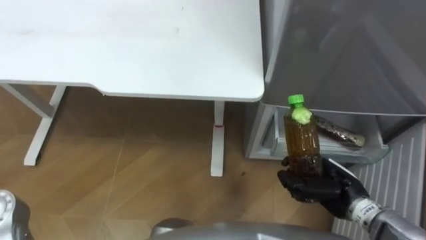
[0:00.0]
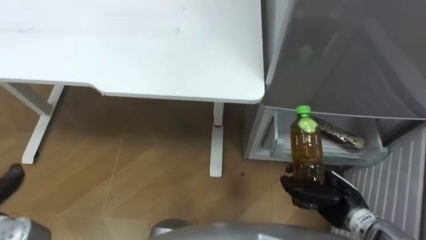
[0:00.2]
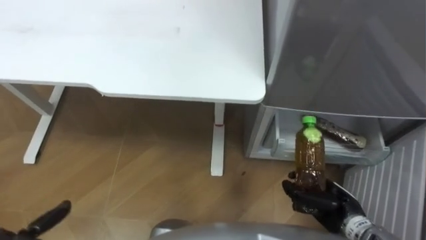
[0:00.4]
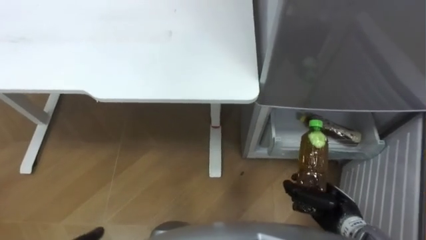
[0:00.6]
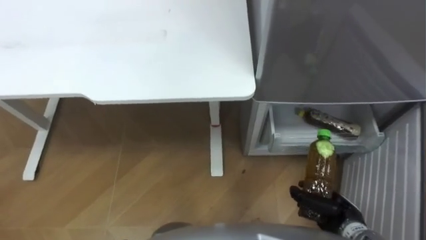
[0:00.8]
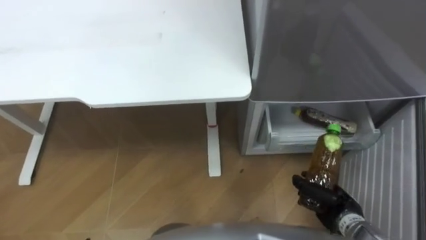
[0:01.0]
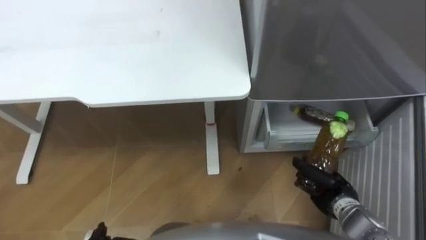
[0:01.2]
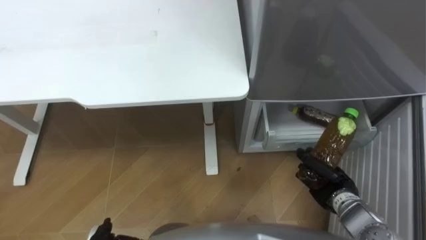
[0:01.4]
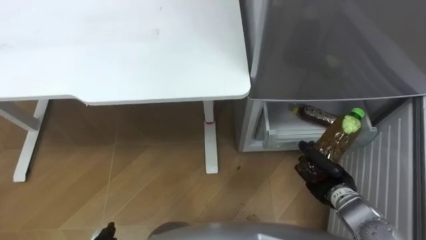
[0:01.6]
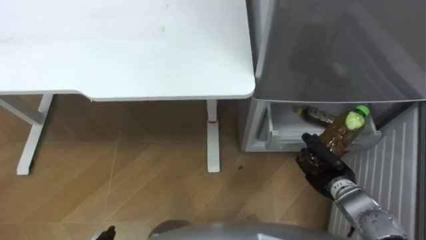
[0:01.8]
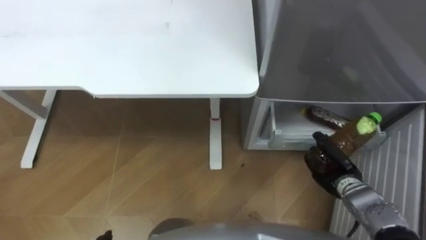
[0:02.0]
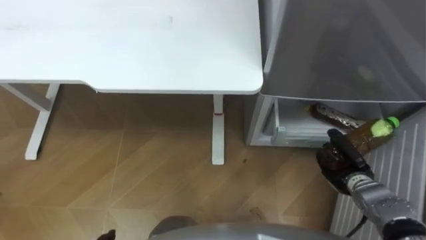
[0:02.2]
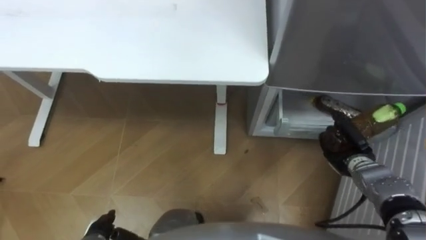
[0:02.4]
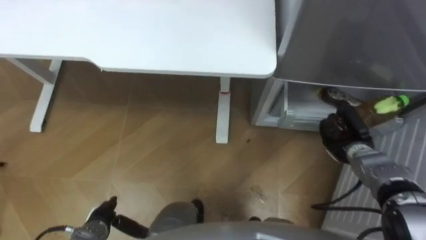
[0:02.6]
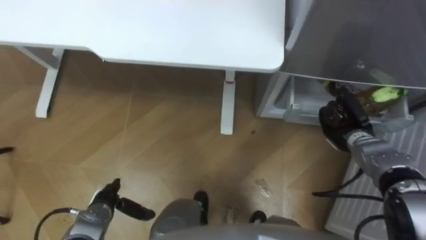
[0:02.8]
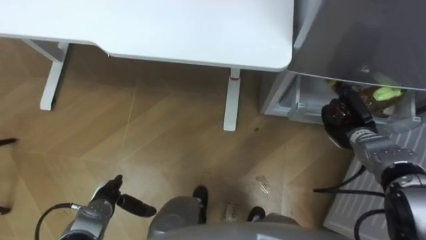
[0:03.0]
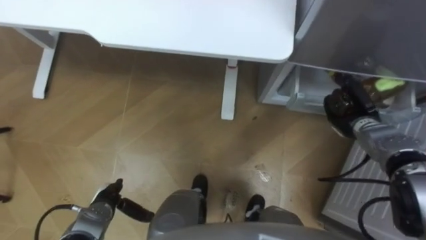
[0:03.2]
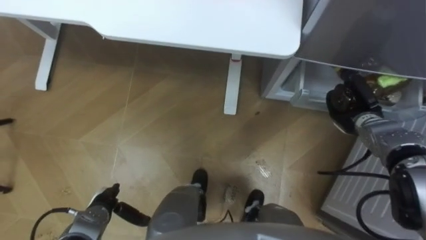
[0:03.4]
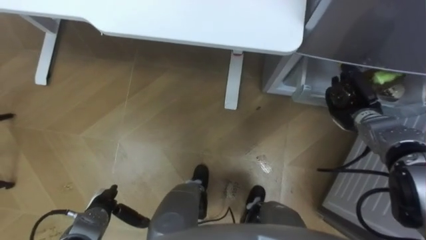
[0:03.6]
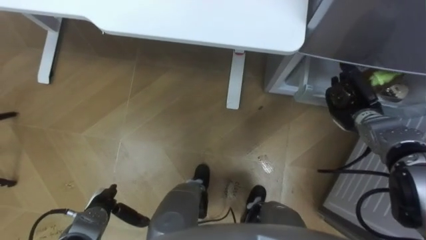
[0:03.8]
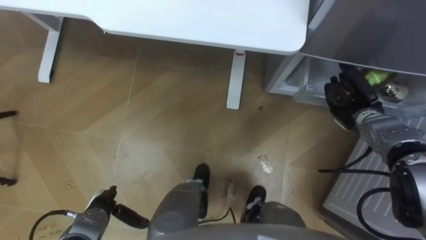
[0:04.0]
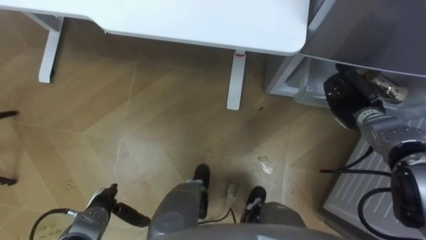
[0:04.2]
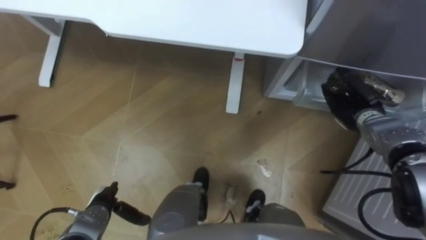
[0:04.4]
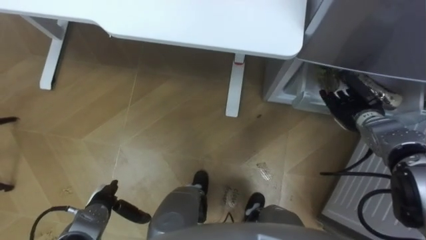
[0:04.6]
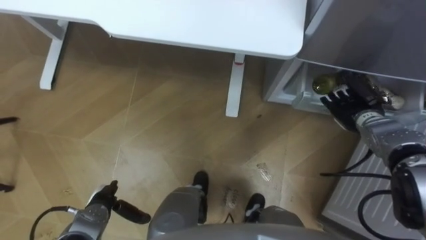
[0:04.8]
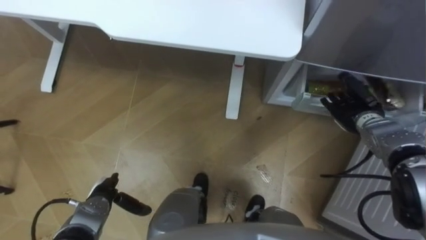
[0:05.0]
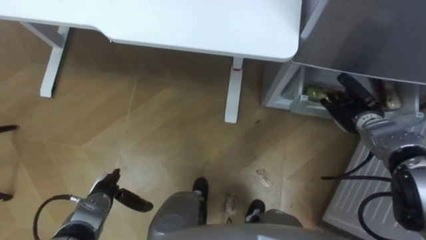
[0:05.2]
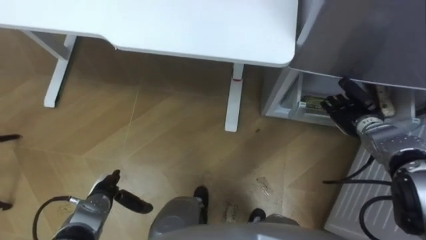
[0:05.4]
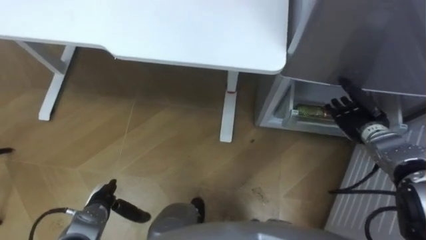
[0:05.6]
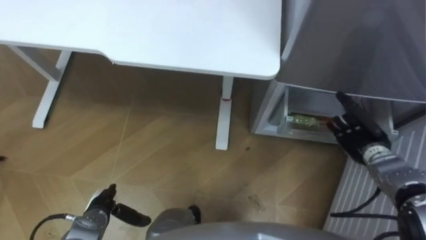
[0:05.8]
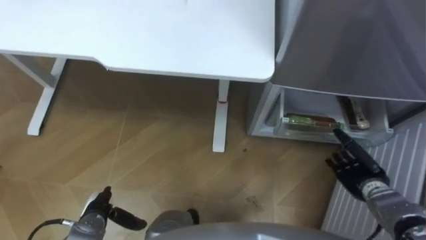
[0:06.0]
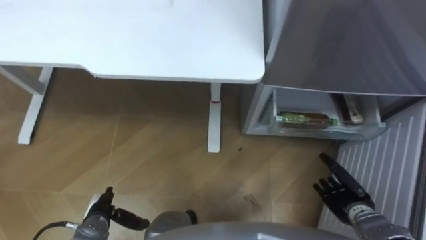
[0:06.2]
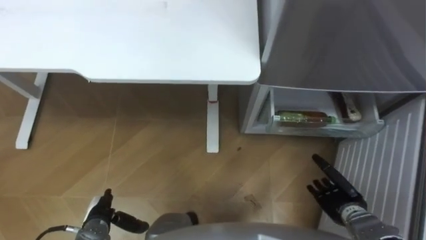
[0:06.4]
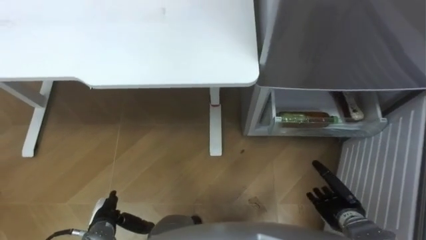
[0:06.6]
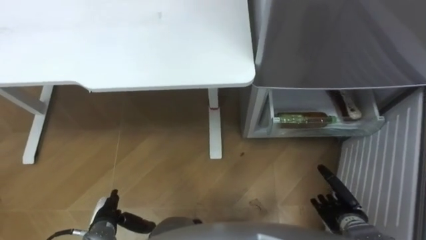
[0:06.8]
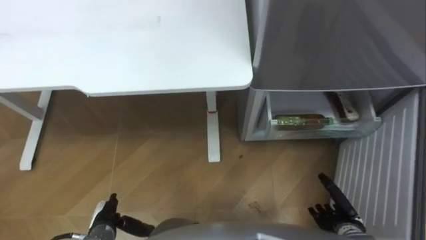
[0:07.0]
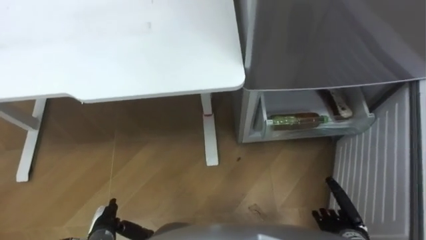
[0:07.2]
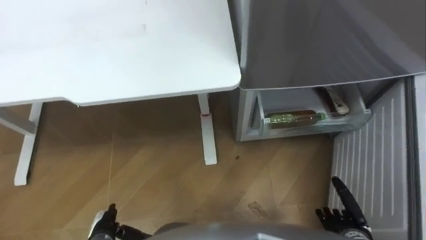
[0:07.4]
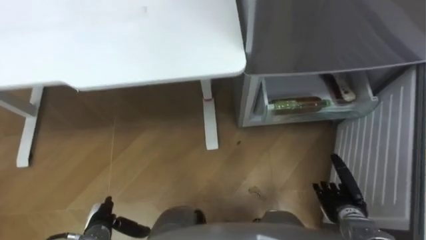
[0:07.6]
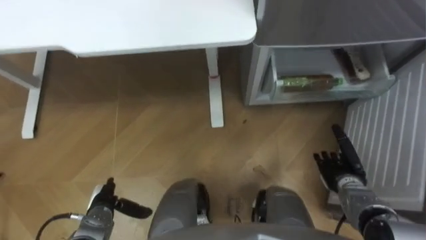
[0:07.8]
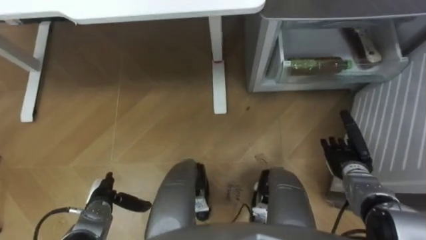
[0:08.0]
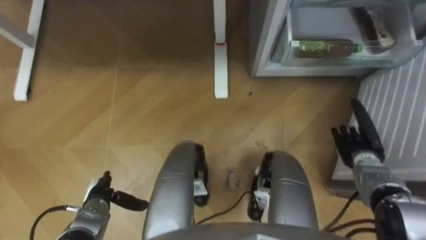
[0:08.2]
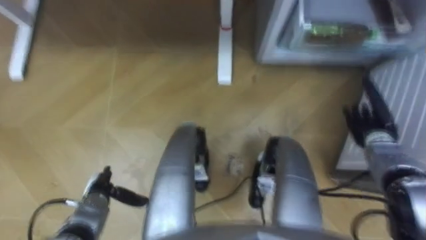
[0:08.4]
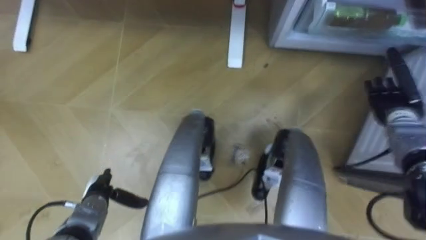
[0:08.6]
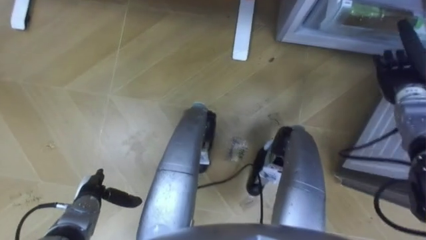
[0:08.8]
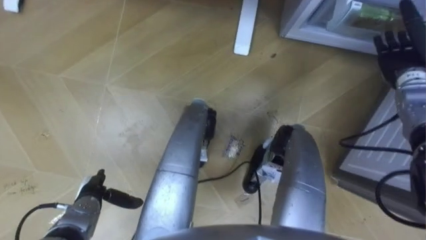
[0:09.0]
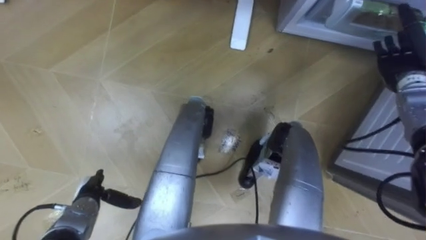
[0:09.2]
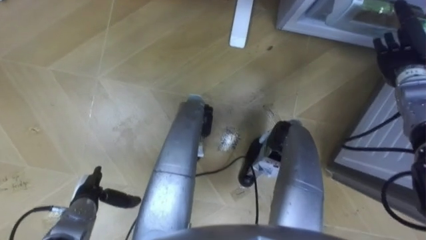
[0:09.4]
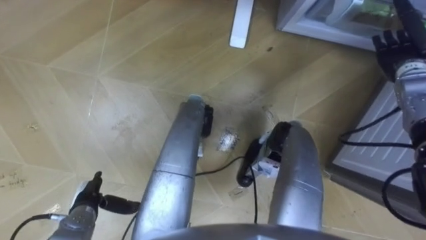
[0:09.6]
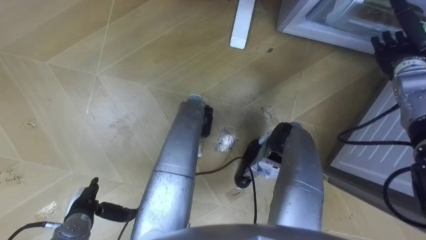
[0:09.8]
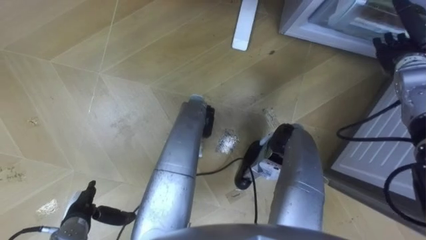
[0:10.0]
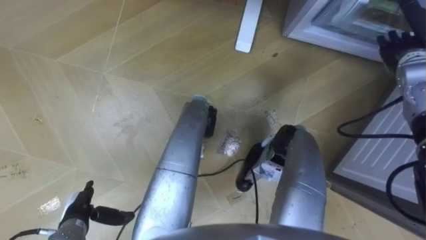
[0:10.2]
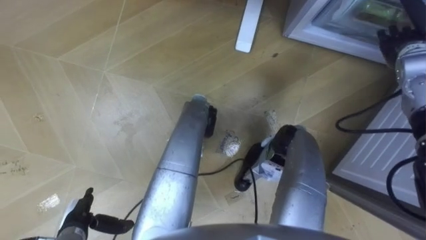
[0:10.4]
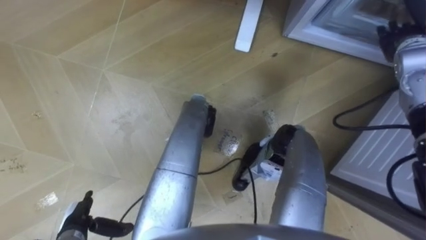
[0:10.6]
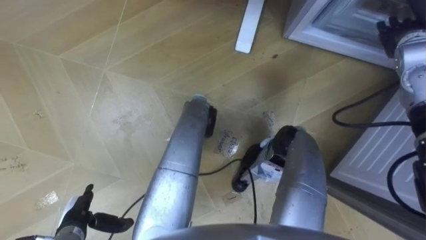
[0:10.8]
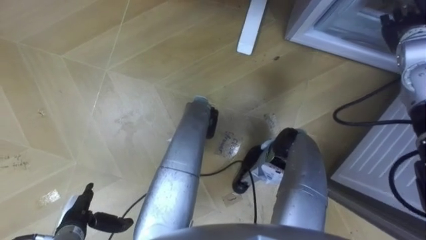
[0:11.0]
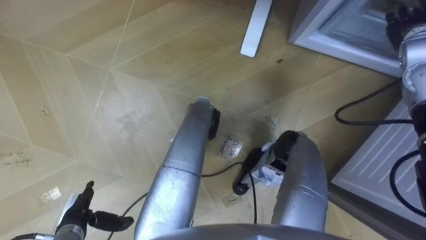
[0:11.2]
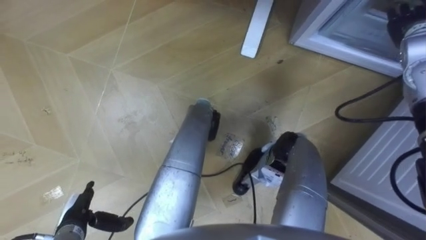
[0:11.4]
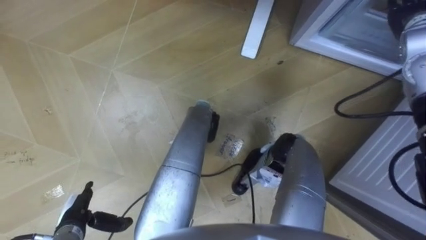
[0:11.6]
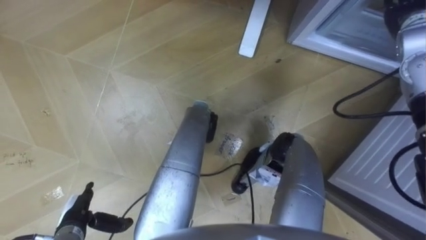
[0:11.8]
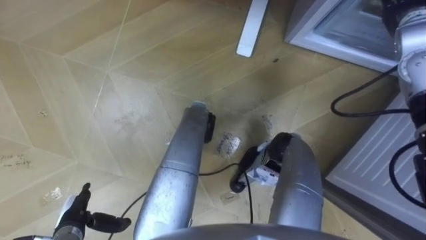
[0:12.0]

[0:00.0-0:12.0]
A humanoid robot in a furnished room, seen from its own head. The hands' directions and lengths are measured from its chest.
Task of the whole recording: Place the drink on the table on the bottom shelf of the refrigerator, then close the drawer and the refrigerator door.
0:00.0 to 0:01.6: The right hand shifts approximately 5 cm downward.
0:01.6 to 0:03.0: The right hand travels forward by some 10 cm.
0:03.0 to 0:04.4: The right hand opens up.
0:04.4 to 0:06.0: The right hand travels backward and downward by roughly 15 cm.
0:06.0 to 0:07.6: The right hand shifts approximately 10 cm backward.
0:07.6 to 0:09.0: The left hand shifts about 5 cm forward; the right hand shifts roughly 30 cm forward and upward.
0:09.0 to 0:10.4: The left hand is displaced backward by some 5 cm.
0:10.4 to 0:12.0: The right hand goes some 5 cm upward.

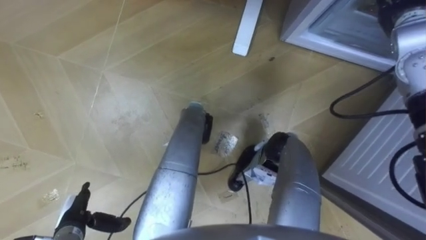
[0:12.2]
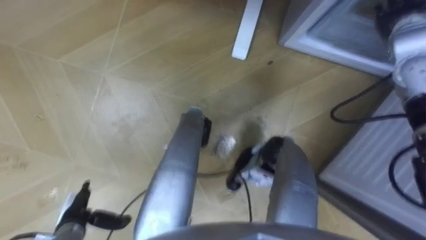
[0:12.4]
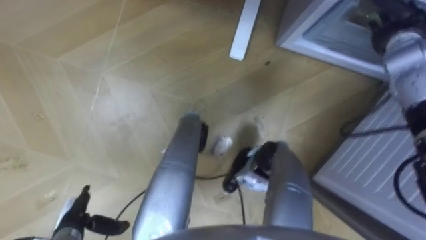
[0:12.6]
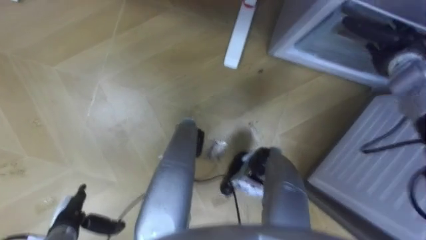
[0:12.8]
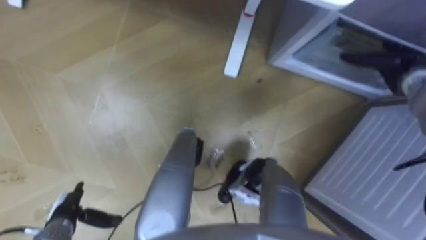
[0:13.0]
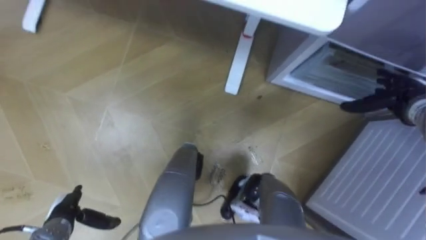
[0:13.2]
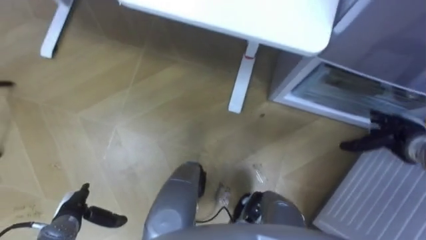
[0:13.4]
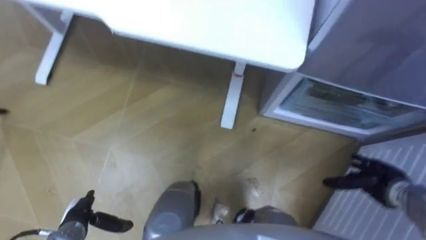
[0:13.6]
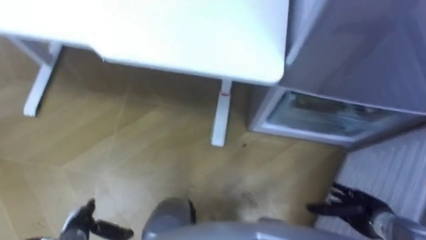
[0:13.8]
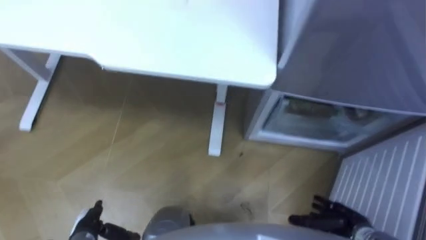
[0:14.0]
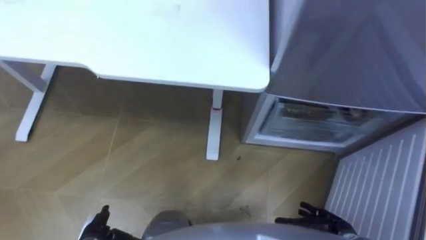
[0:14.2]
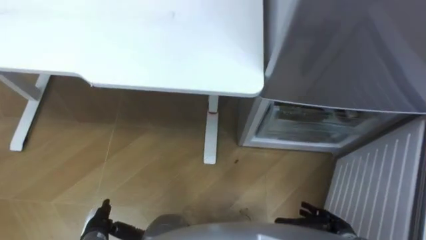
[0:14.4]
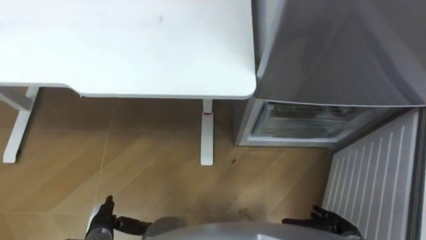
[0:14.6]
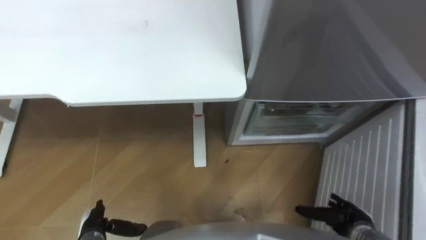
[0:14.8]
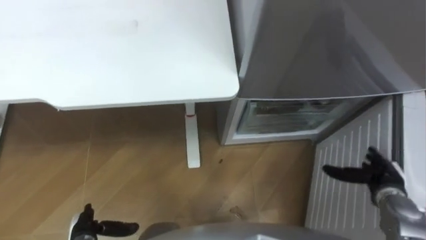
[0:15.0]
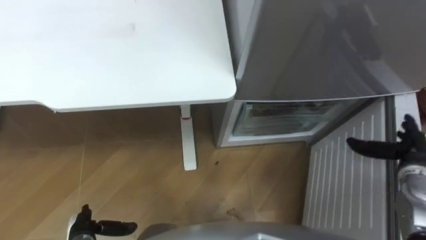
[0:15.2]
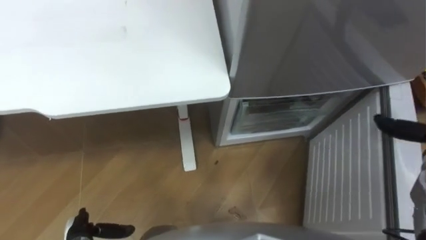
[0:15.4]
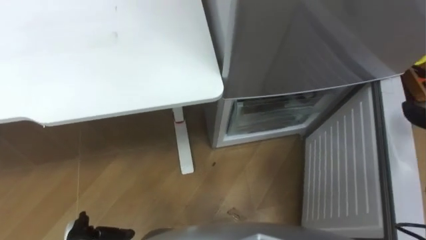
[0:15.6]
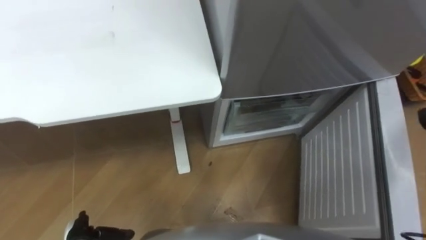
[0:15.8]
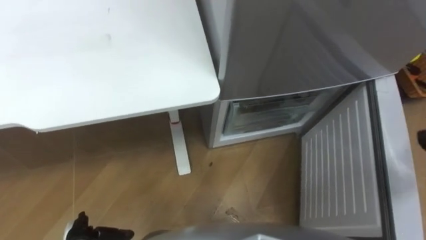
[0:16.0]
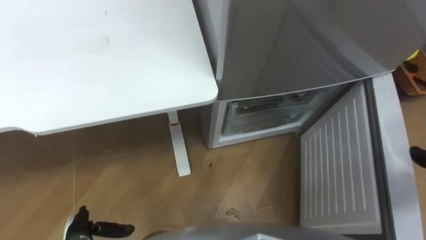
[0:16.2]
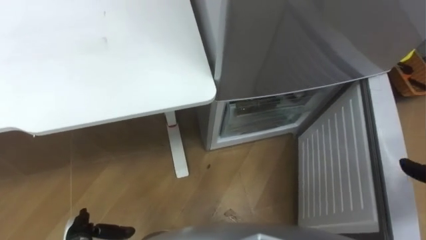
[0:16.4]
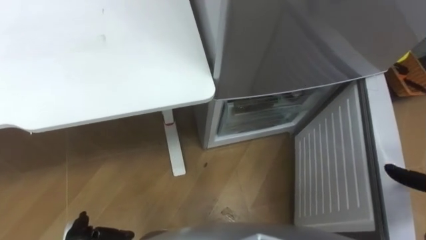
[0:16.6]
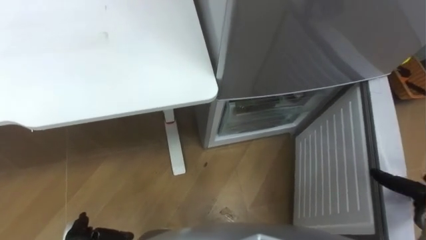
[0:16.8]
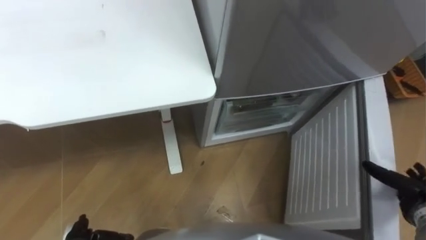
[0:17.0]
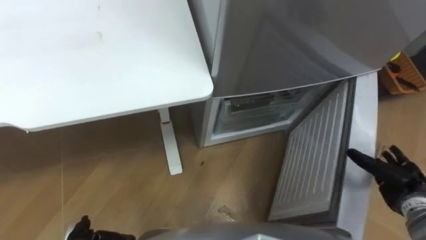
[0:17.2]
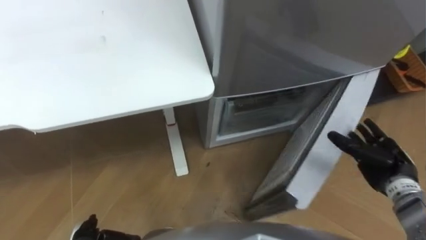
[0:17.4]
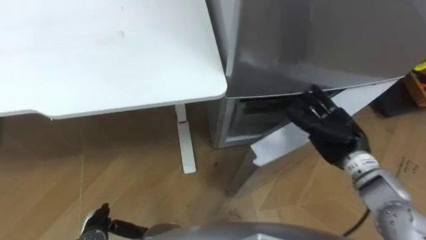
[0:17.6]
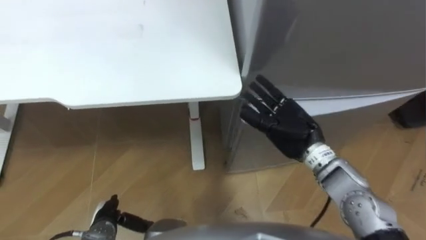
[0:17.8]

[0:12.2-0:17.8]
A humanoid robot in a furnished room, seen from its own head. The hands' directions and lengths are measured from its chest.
Task of the whole recording: Place the drink on the table on the bottom shelf of the refrigerator, then close the drawer and the refrigerator door.
0:12.2 to 0:13.6: The right hand is displaced downward and backward by some 35 cm.
0:13.6 to 0:15.0: The right hand moves some 10 cm backward and comes back.
